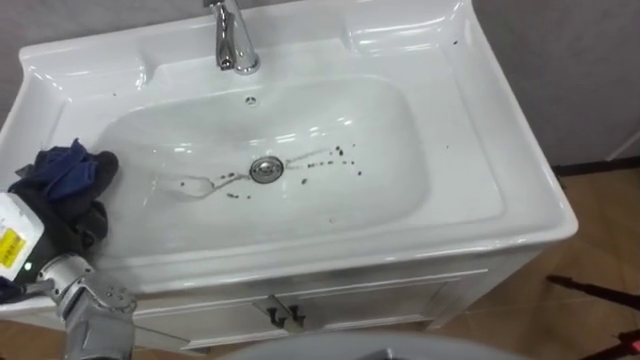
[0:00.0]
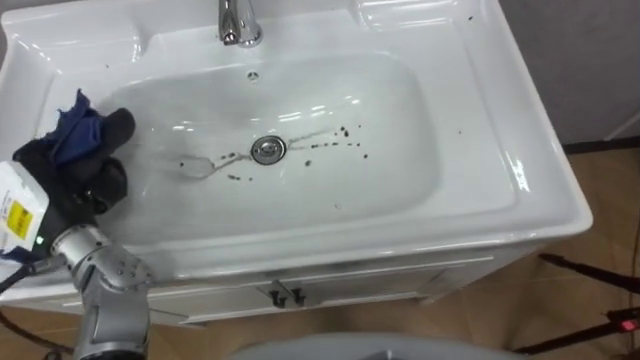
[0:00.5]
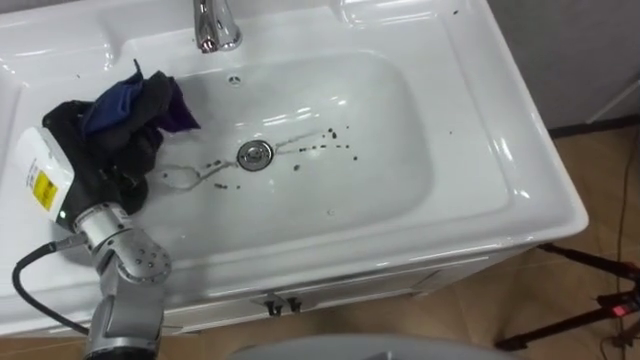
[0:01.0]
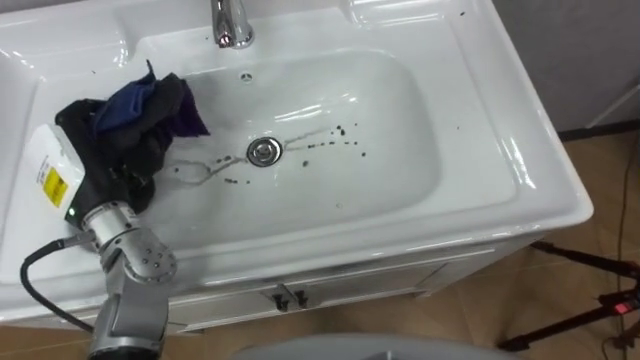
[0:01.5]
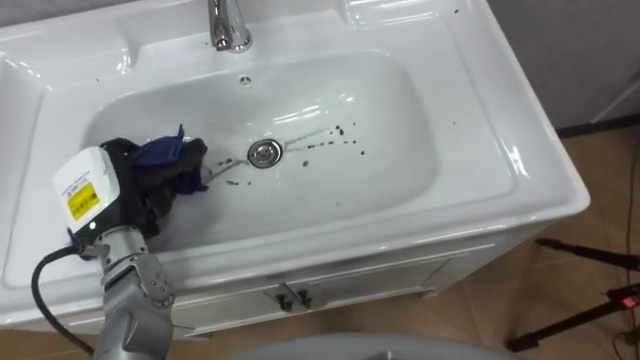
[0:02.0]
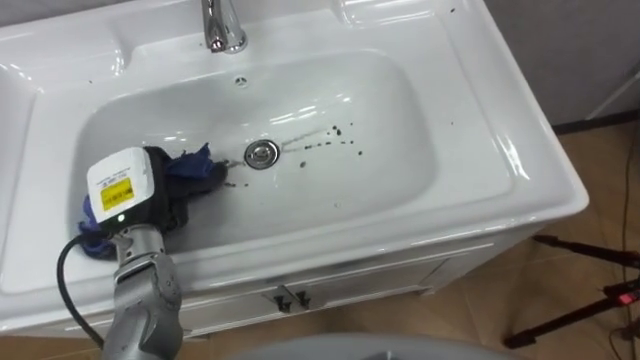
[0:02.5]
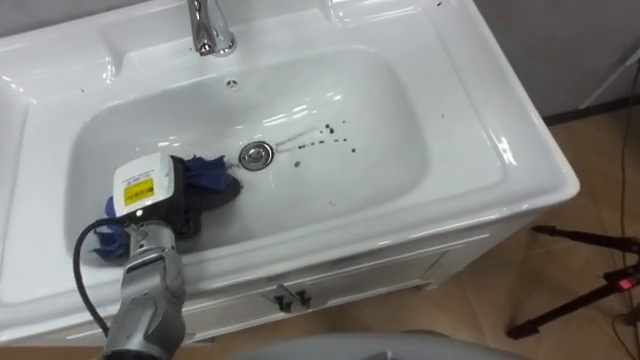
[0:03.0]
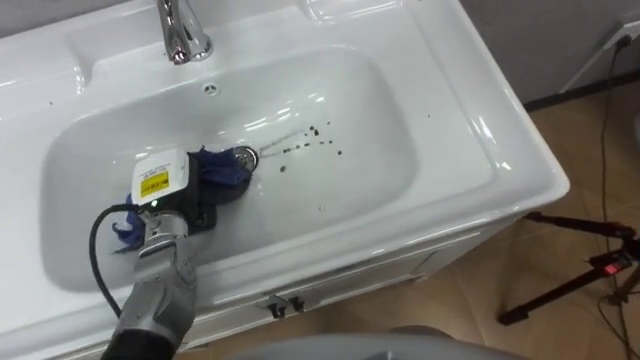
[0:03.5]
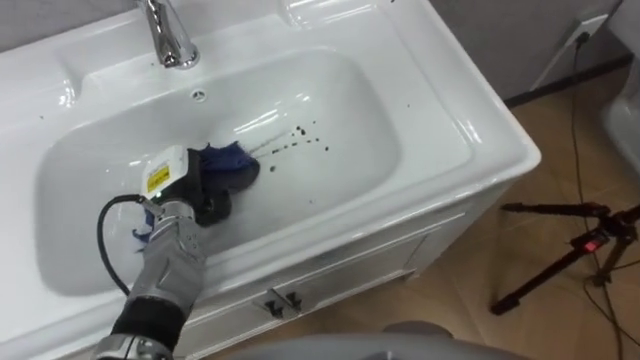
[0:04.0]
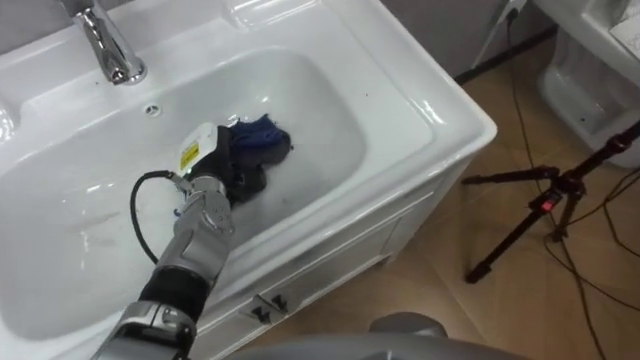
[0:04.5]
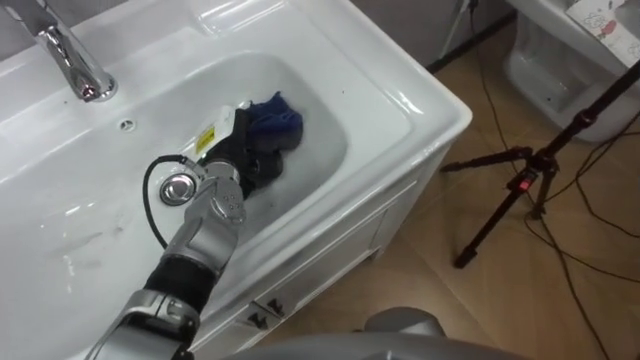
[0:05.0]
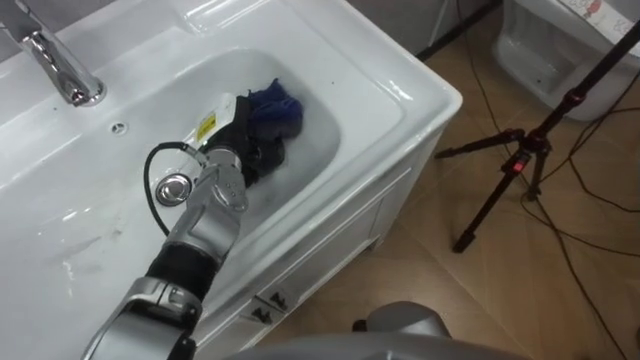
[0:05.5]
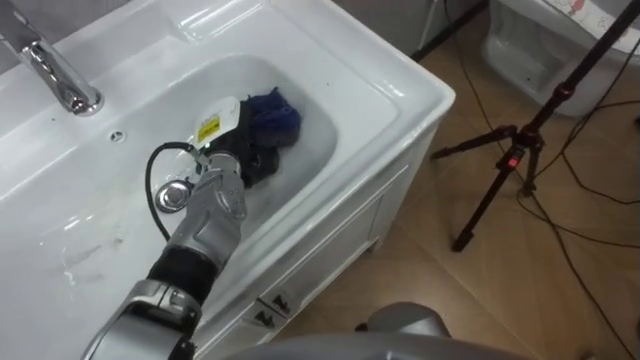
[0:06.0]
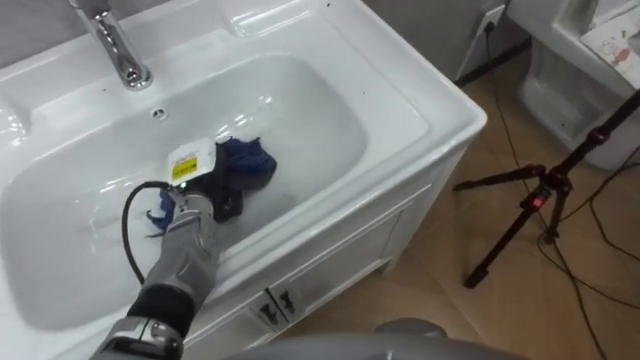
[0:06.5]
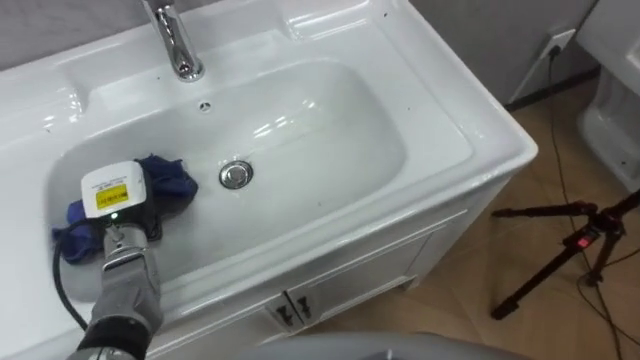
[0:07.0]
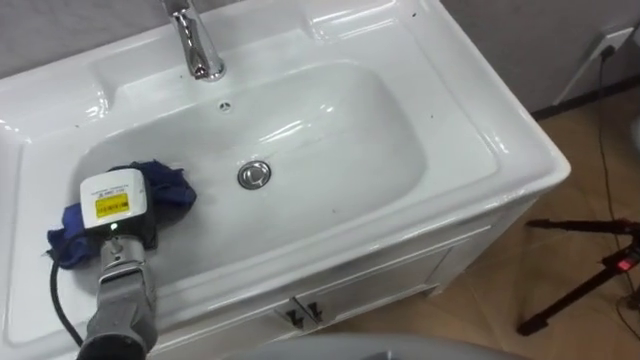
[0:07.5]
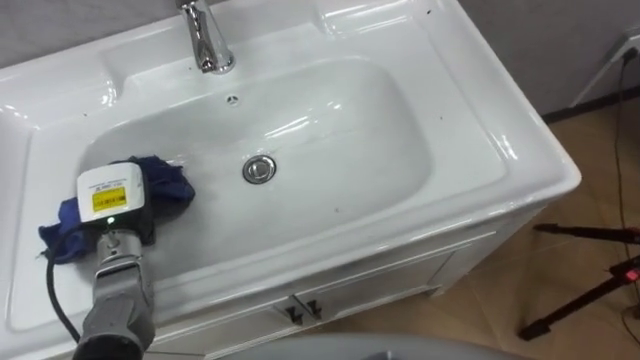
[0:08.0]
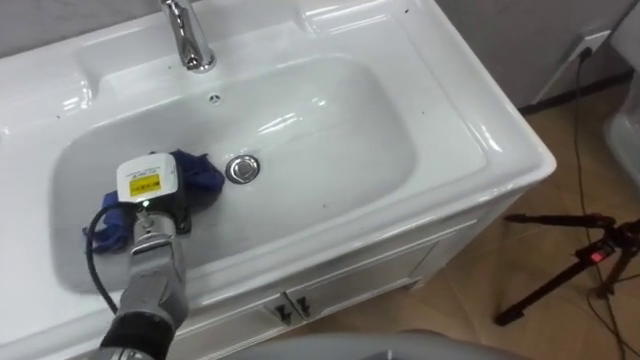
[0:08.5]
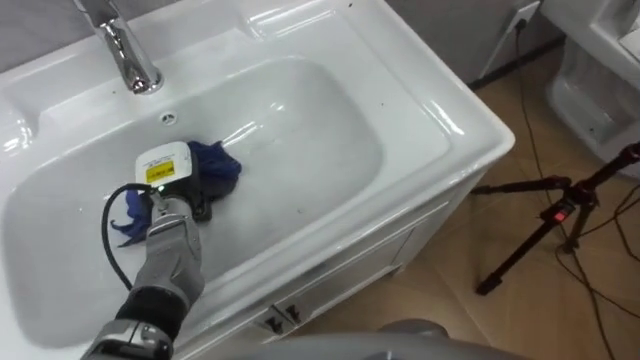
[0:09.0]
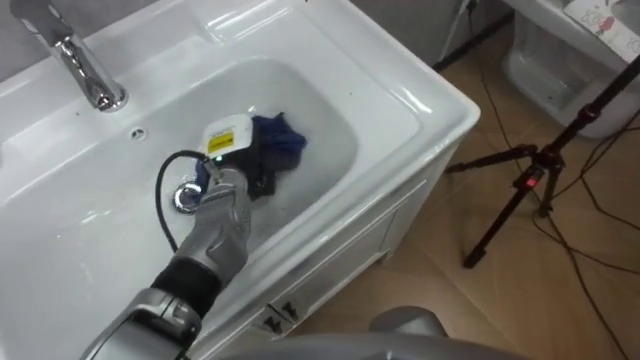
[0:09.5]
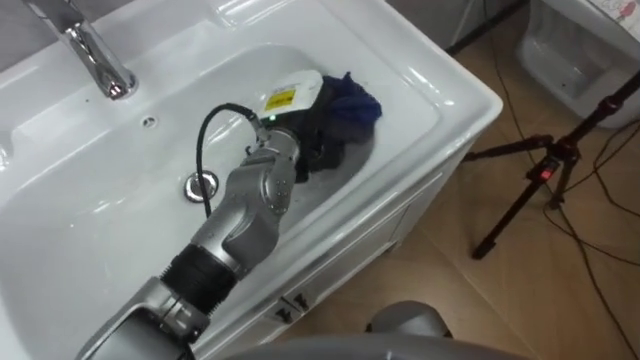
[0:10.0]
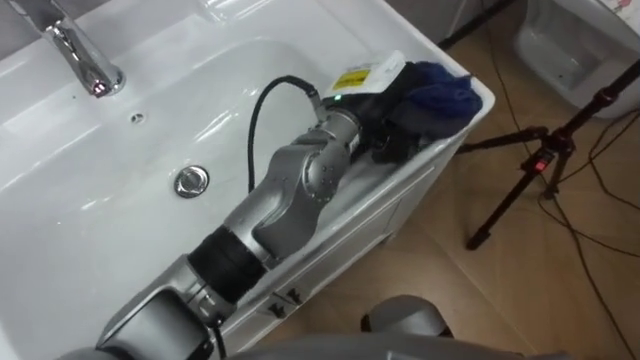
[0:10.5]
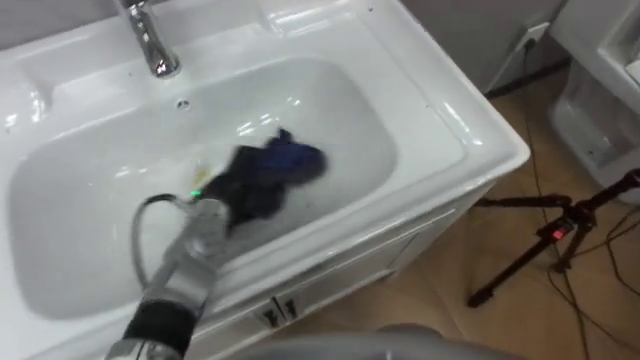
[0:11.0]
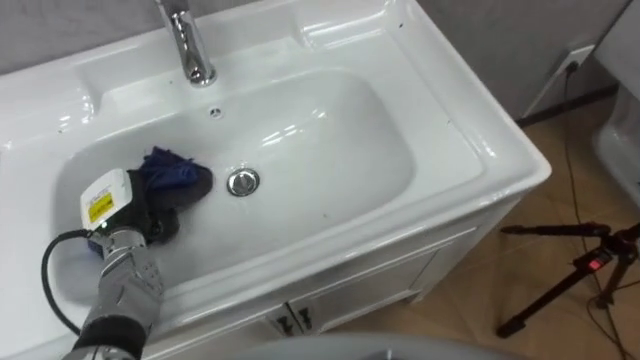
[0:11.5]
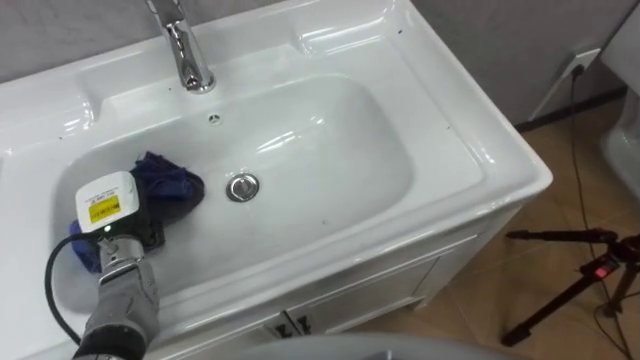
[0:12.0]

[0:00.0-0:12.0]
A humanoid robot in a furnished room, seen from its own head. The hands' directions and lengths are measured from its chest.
Task of the whole recording: Use the cloth on the right to wipe away the black stain in the sink.
0:00.0 to 0:02.0: The left hand is displaced to the right and forward by roughly 10 cm.
0:02.0 to 0:04.0: The left hand goes approximately 10 cm downward and to the right.
0:04.0 to 0:06.0: The left hand moves to the right and forward, some 10 cm.
0:06.0 to 0:08.0: The left hand is displaced to the left and backward by about 20 cm.
0:08.0 to 0:10.0: The left hand moves to the right, some 25 cm.
0:10.0 to 0:12.0: The left hand travels to the left and downward by roughly 30 cm.

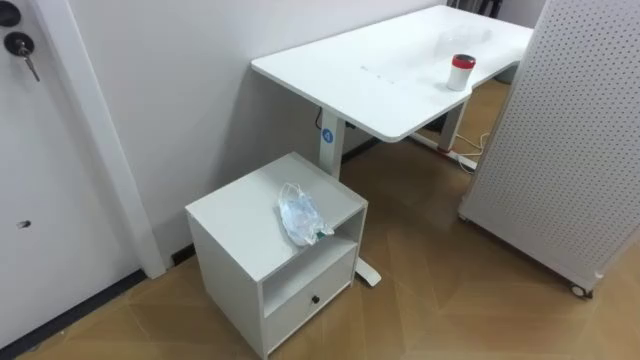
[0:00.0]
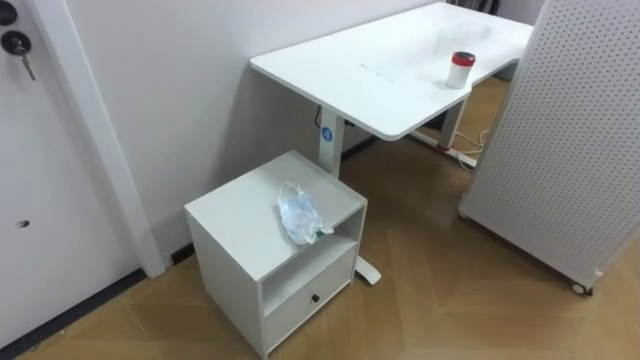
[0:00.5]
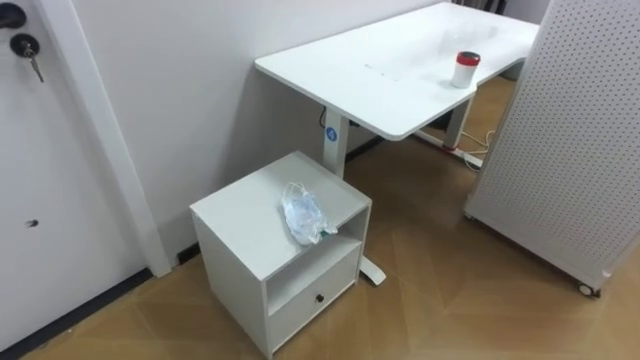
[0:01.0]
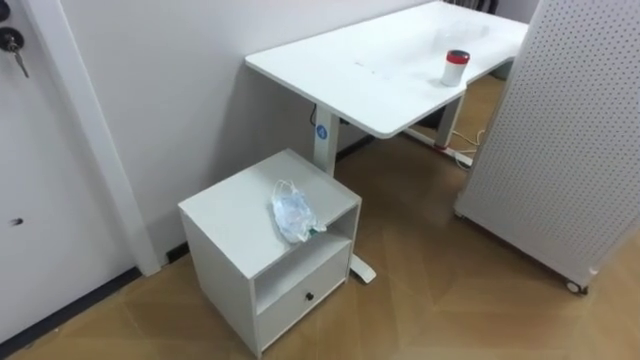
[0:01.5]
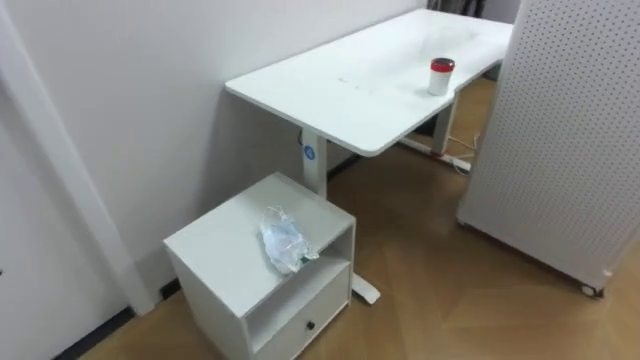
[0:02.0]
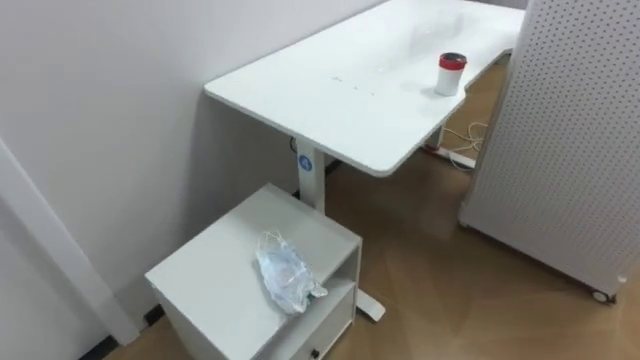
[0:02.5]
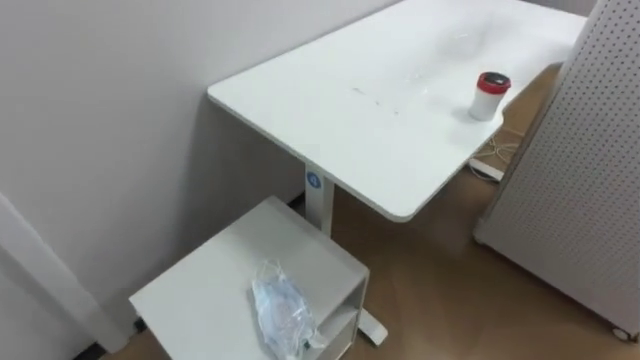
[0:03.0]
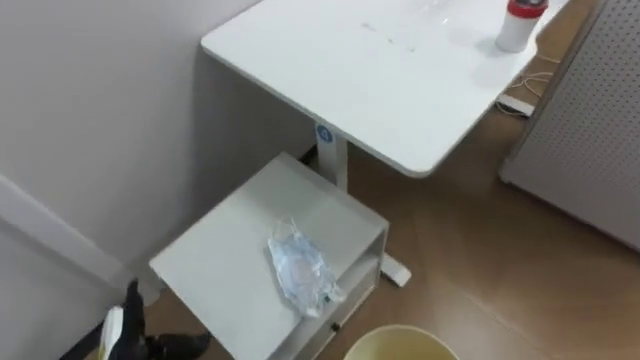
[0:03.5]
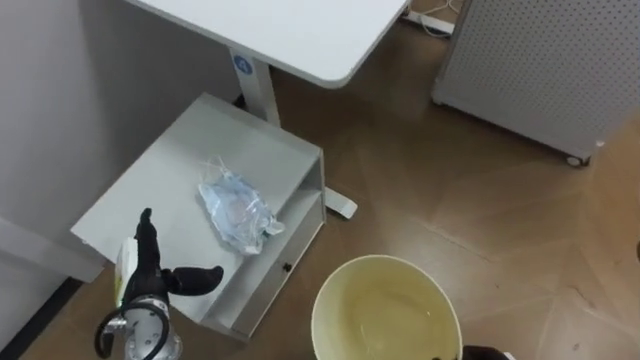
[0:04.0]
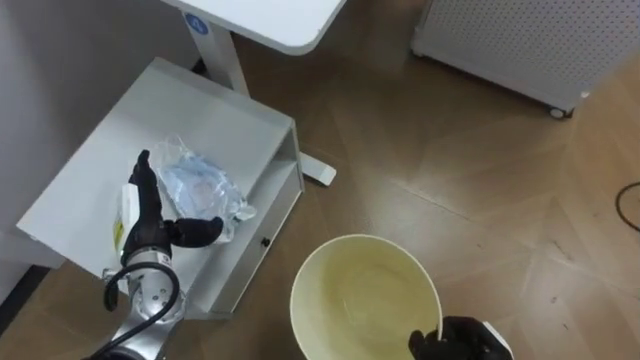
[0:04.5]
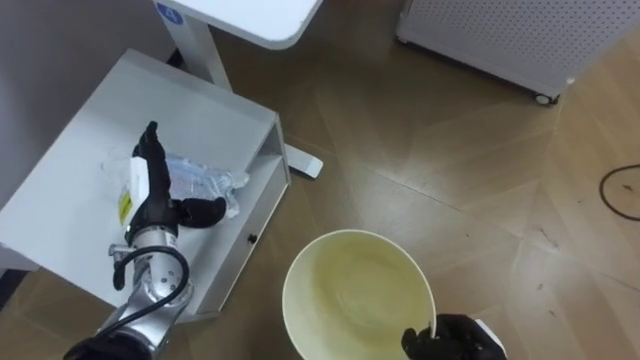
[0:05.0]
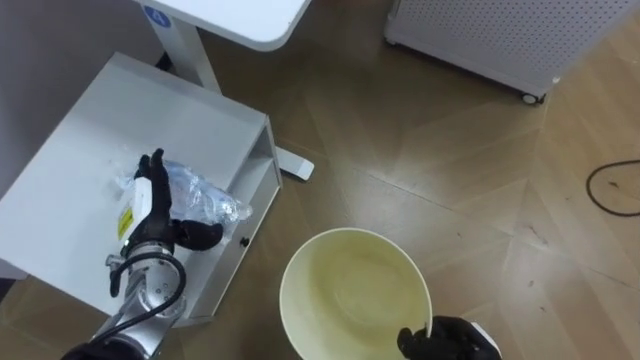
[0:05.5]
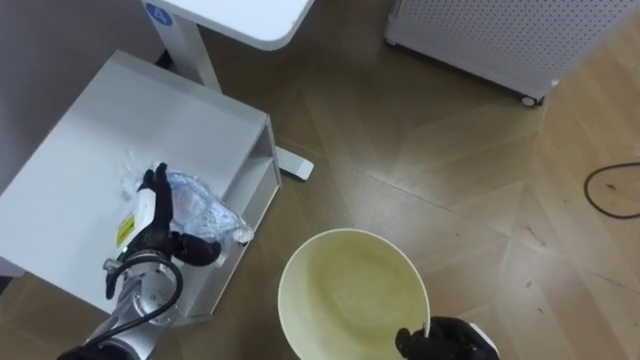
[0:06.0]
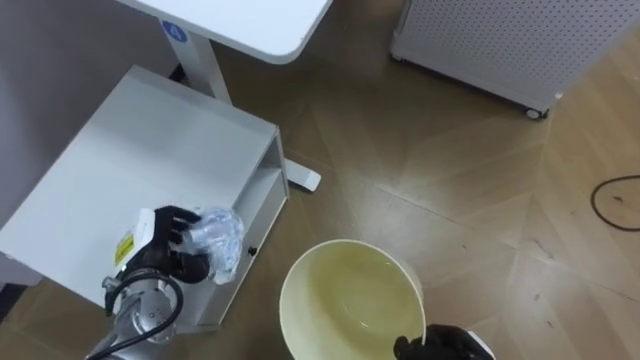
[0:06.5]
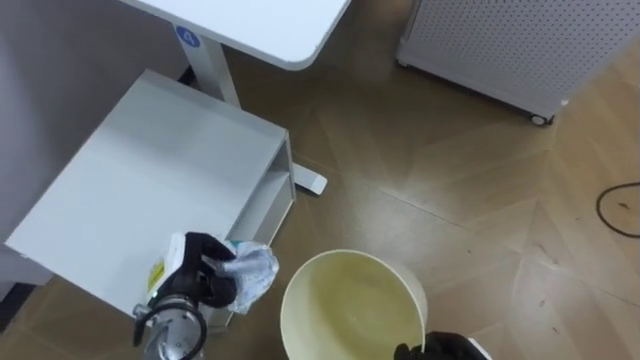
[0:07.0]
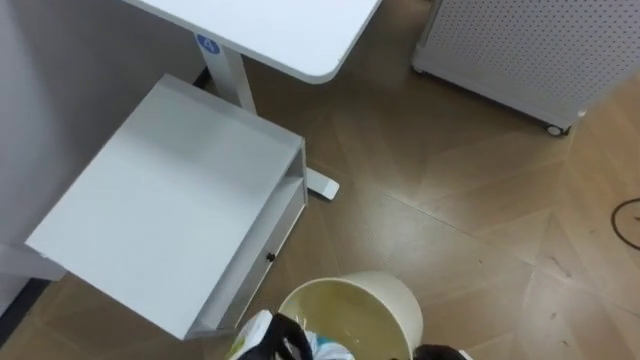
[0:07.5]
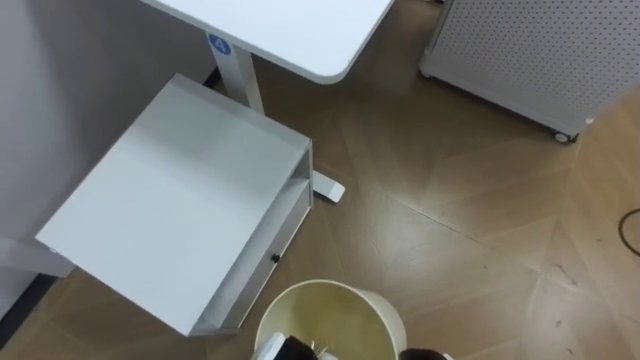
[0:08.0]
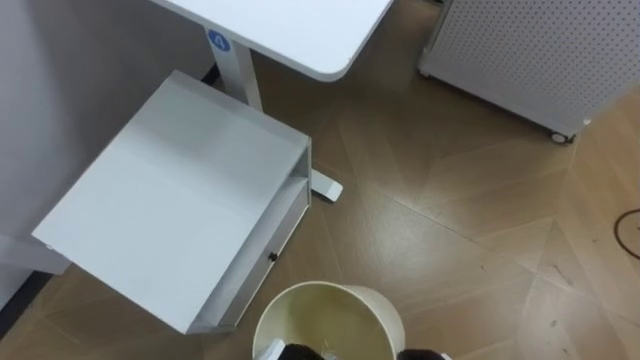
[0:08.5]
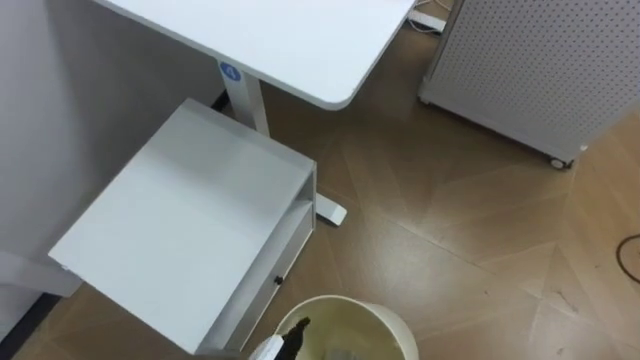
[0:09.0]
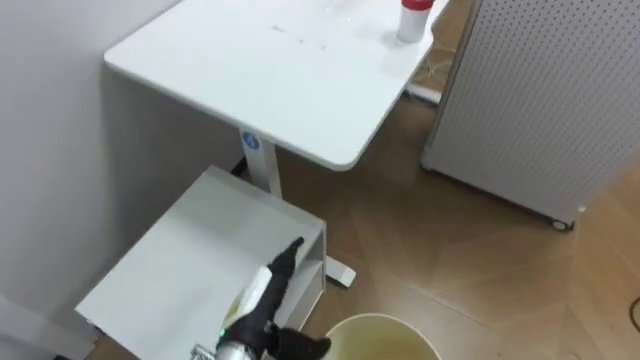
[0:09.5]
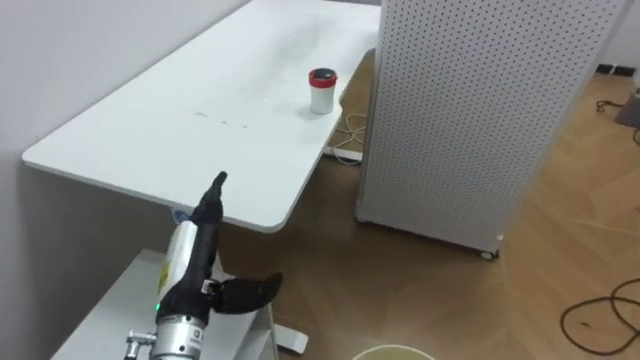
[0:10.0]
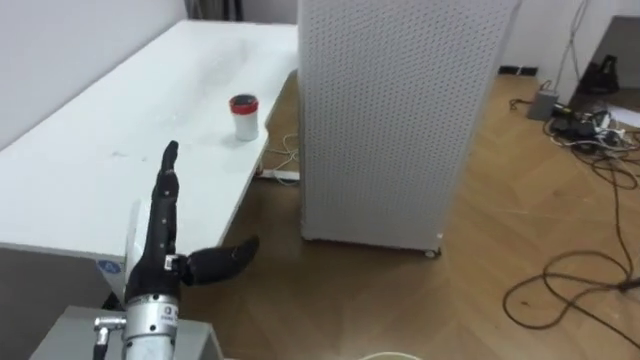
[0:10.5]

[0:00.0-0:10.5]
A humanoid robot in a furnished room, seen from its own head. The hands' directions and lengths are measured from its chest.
Task of the whole recording: Pick up the light blue package, the candy box, and the dark blue package separately, and put them into the trash can held in your right hand.
0:04.0 to 0:06.5: The left hand moves some 10 cm upward and comes back, and closes up.
0:08.5 to 0:10.5: The robot faces roughly 25 degrees further to its right.
